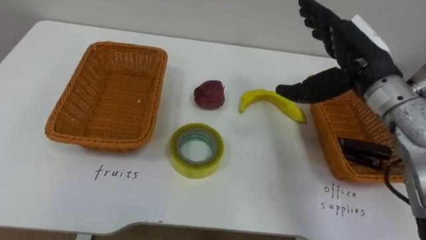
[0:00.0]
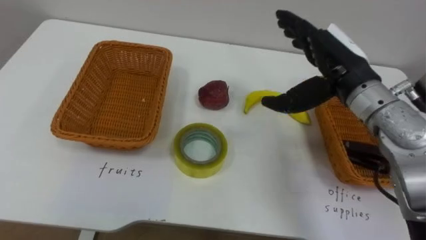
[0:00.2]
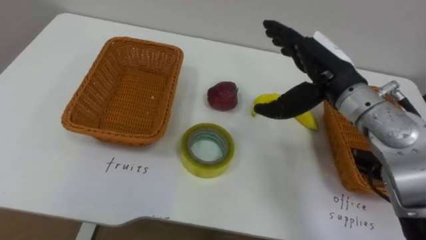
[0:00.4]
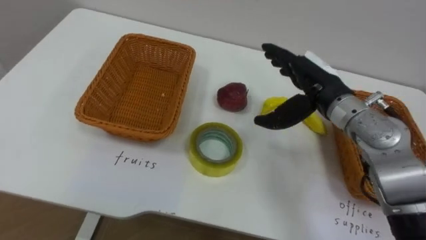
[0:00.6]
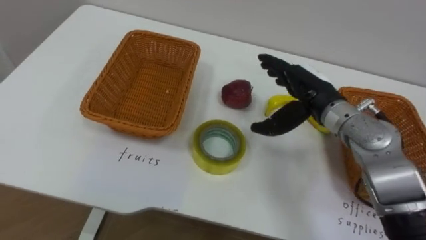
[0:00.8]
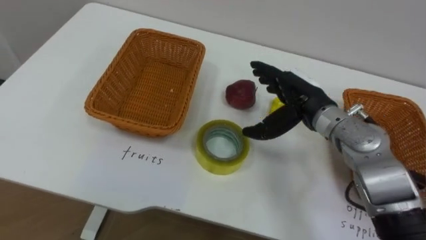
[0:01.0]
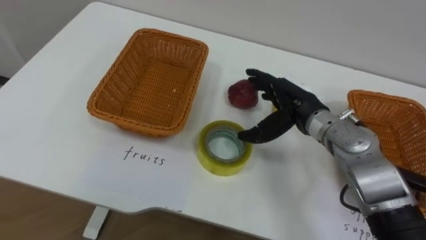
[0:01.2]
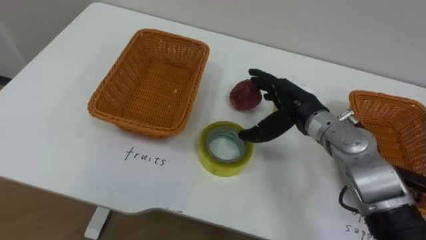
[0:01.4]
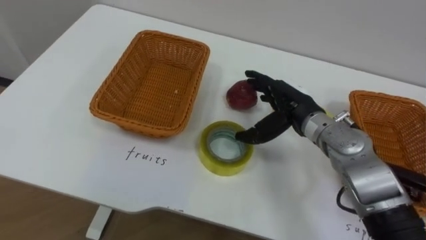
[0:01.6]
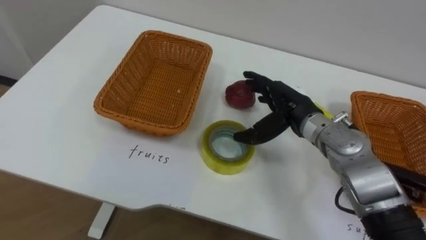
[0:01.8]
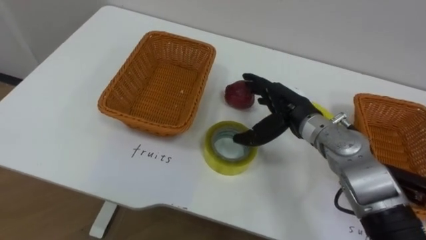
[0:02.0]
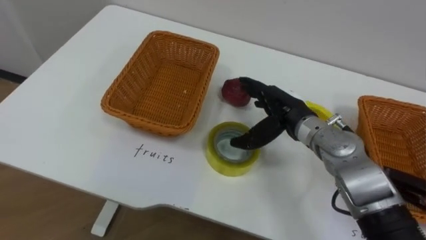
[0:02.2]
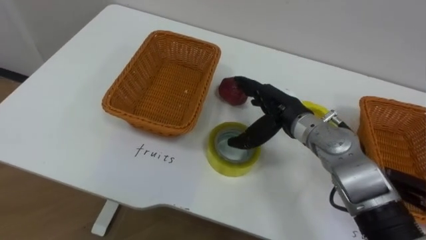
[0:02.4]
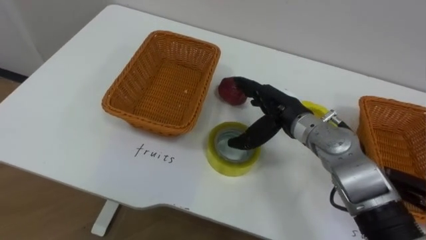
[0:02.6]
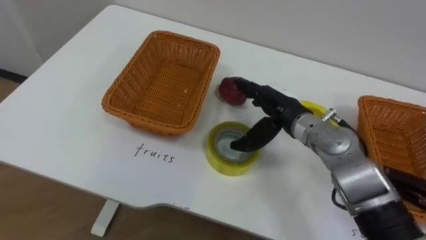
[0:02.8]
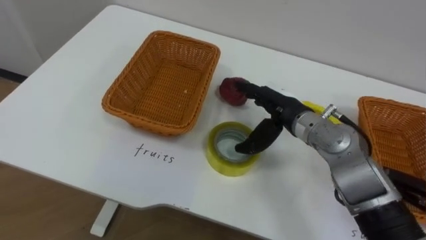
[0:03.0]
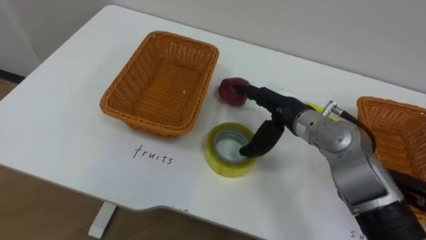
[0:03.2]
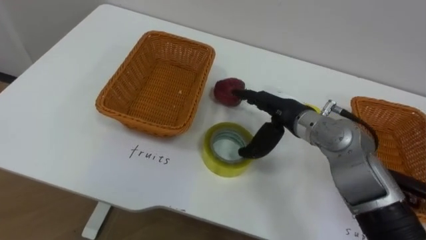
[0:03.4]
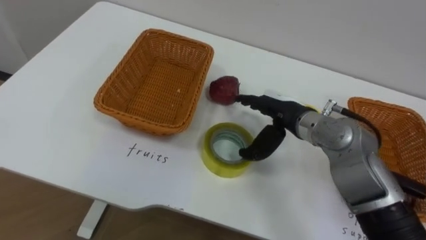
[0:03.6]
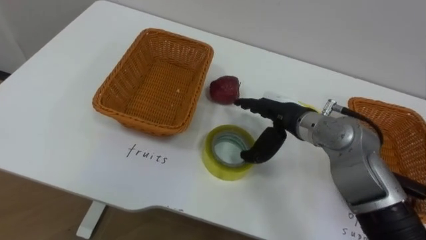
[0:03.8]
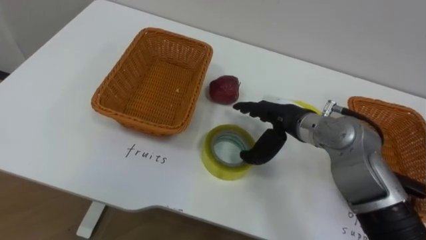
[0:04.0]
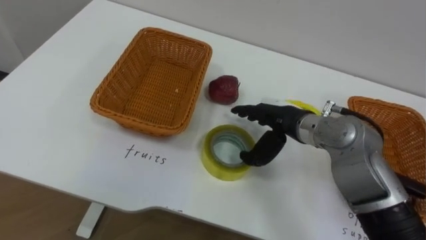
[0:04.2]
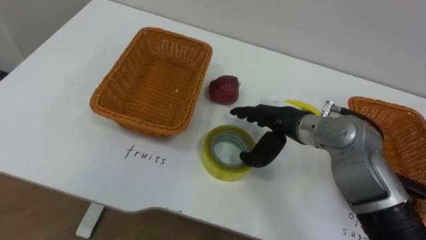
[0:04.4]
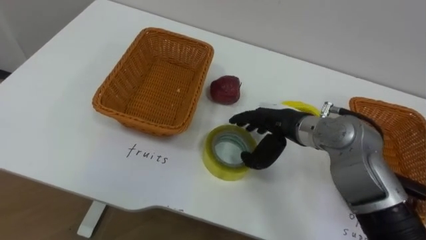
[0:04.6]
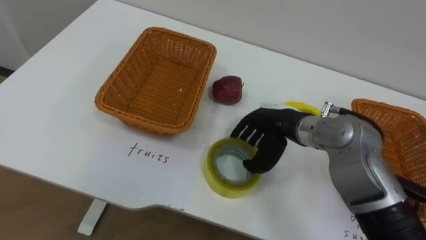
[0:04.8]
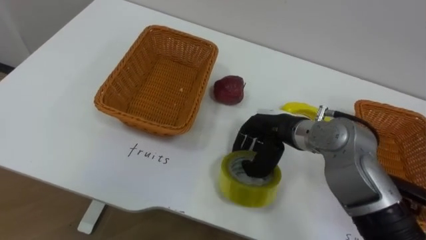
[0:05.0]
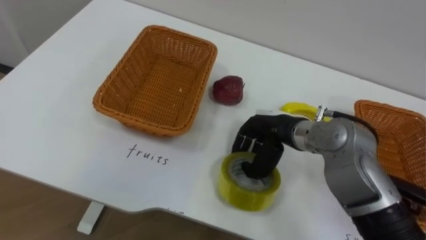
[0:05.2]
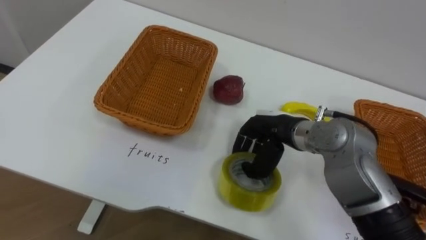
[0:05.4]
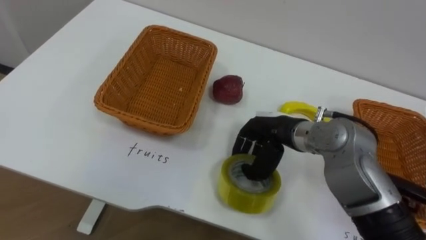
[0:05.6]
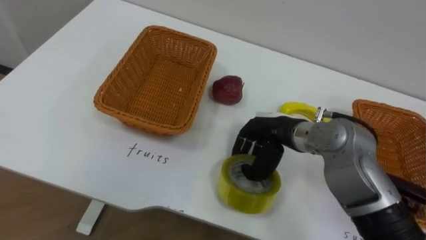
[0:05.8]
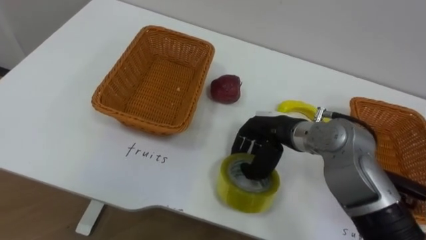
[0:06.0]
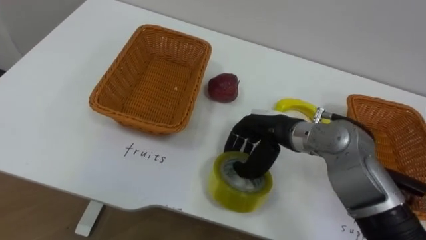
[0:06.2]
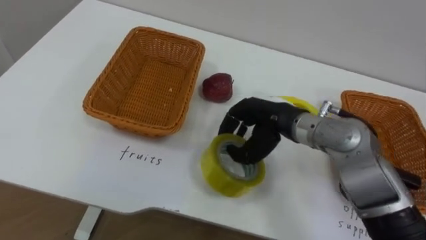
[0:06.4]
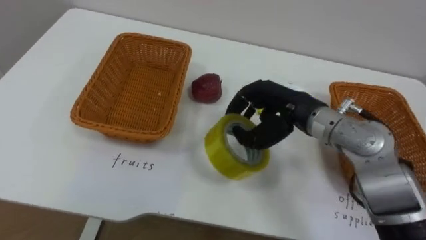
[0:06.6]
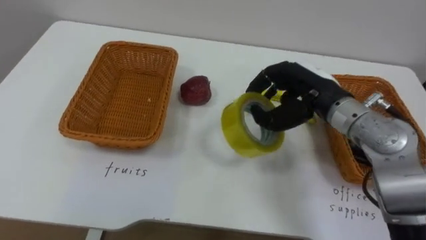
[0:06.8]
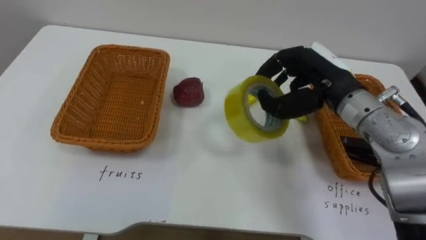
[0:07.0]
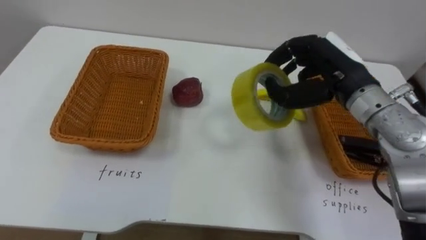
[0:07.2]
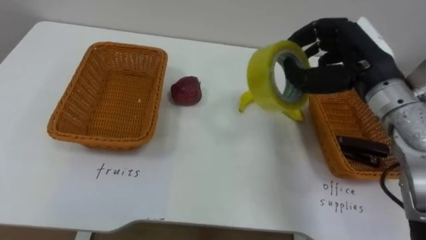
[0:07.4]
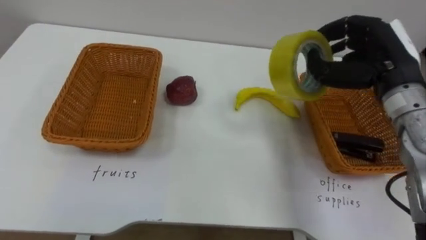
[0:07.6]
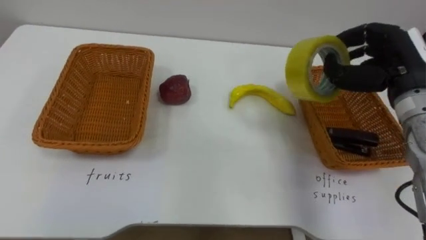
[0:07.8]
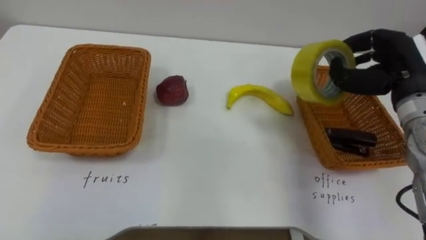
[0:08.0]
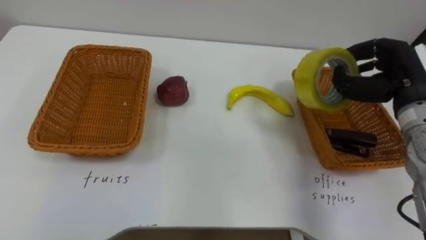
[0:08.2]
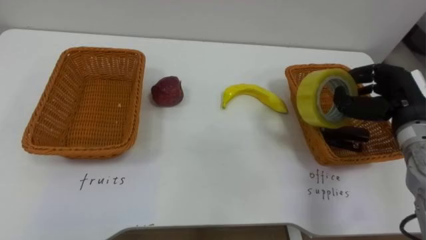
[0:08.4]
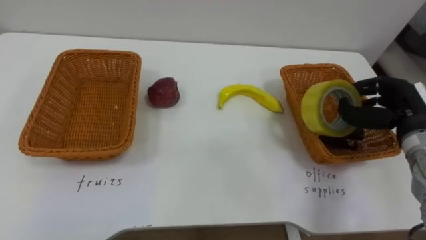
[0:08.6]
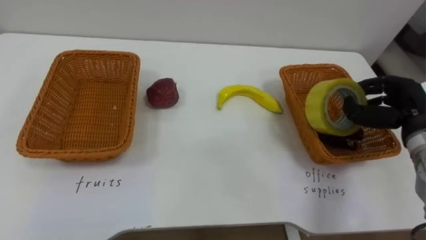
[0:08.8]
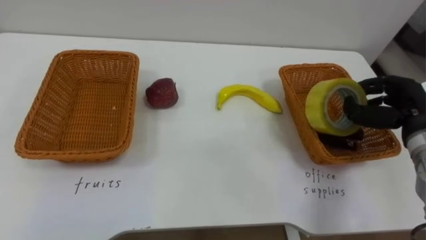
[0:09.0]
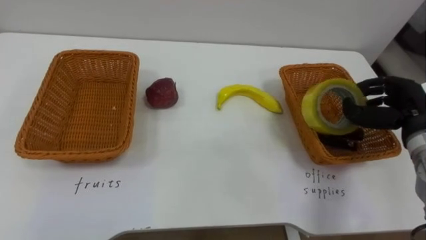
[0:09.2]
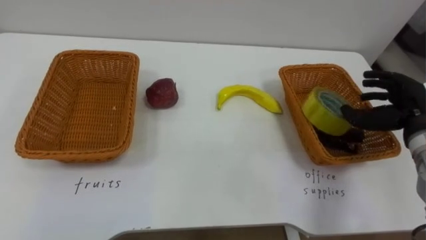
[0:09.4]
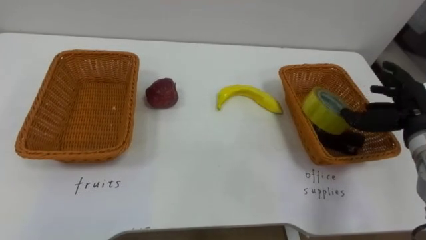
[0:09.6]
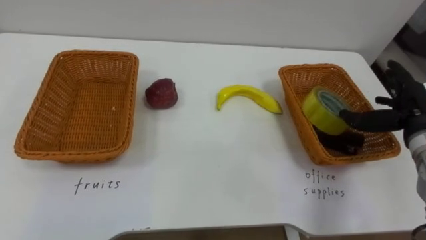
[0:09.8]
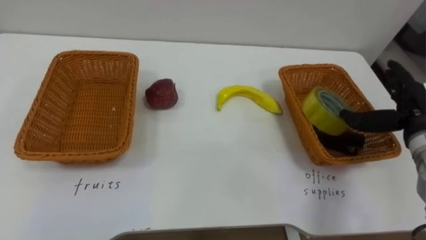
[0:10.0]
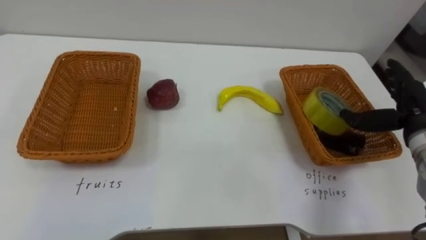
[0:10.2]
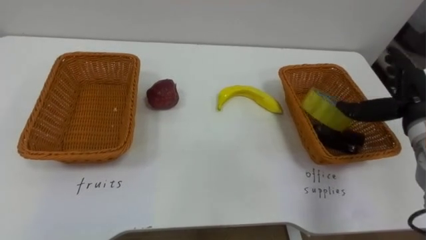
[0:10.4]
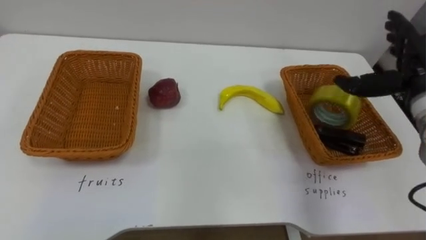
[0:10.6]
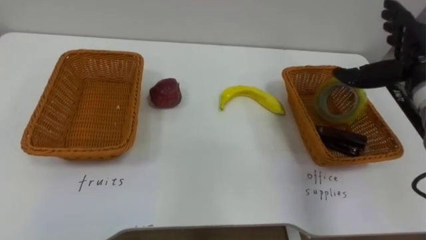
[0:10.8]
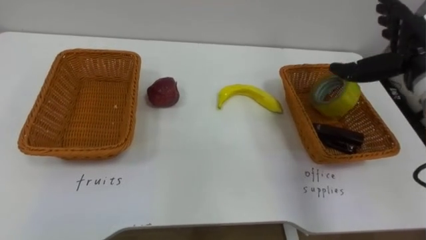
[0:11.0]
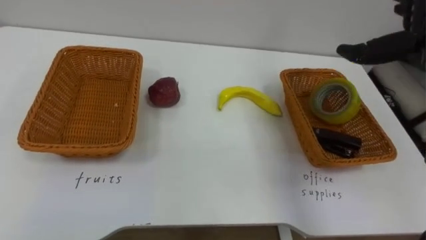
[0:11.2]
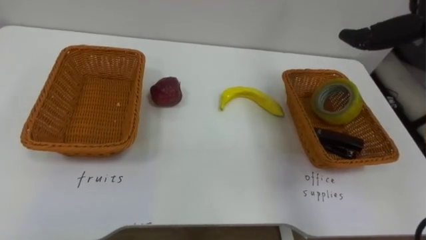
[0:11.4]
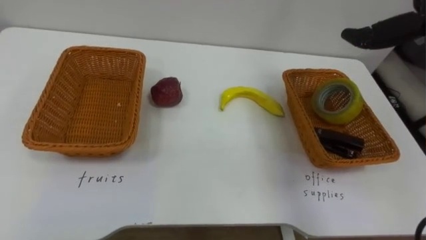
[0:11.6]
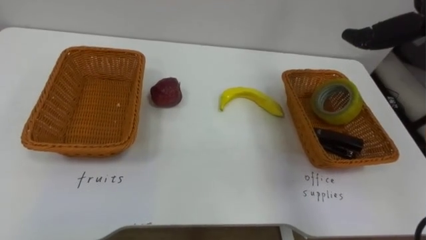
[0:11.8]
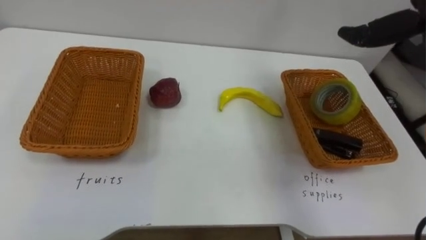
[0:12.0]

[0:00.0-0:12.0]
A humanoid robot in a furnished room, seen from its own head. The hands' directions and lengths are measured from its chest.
Task of the whole recording: Separate the items on the table and place them into the two baskets.
0:00.0 to 0:01.6: The right hand travels downward and to the left by some 15 cm.
0:04.4 to 0:06.0: The right hand closes its fingers.
0:06.0 to 0:07.6: The right hand travels to the right and upward by some 20 cm.
0:07.6 to 0:09.0: The right hand is displaced downward and to the right by about 15 cm.
0:09.0 to 0:10.4: The right hand opens its fingers.

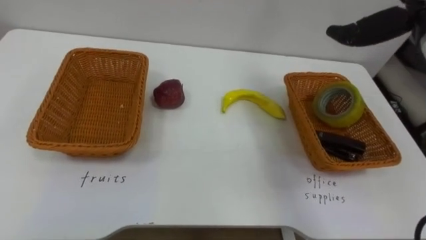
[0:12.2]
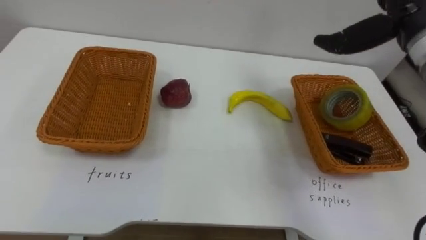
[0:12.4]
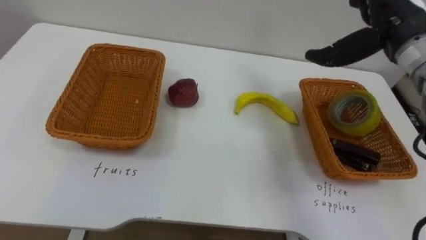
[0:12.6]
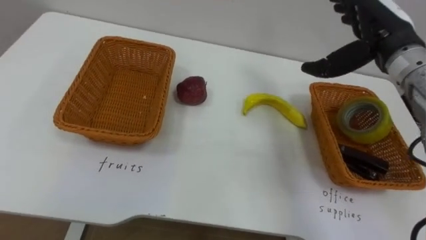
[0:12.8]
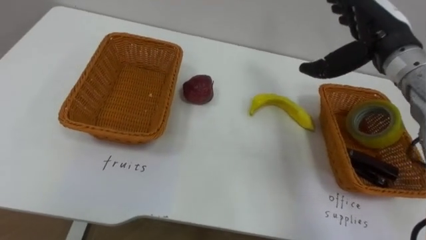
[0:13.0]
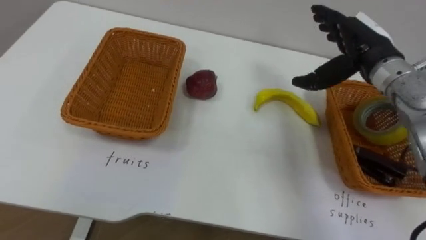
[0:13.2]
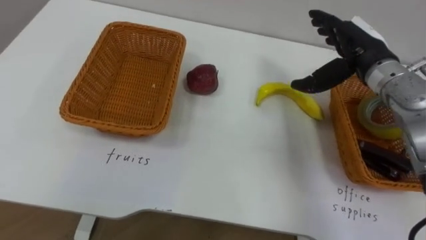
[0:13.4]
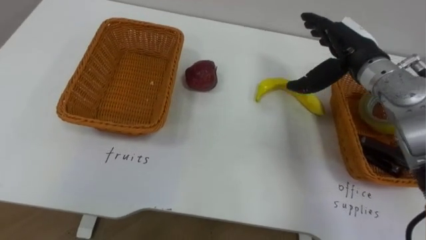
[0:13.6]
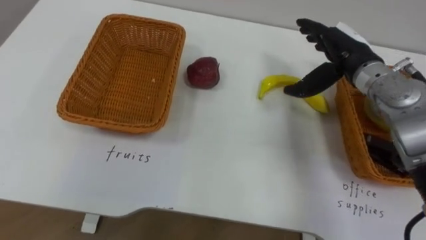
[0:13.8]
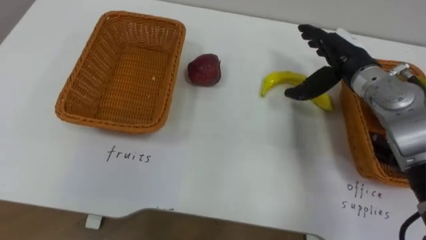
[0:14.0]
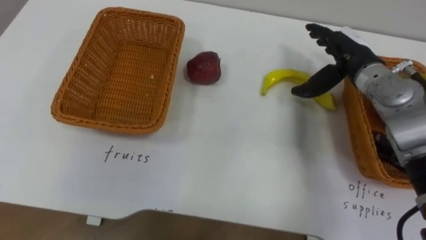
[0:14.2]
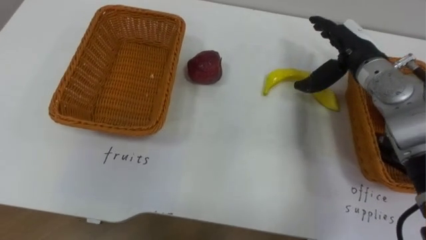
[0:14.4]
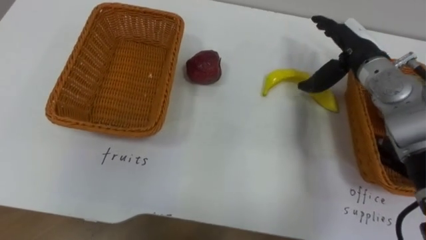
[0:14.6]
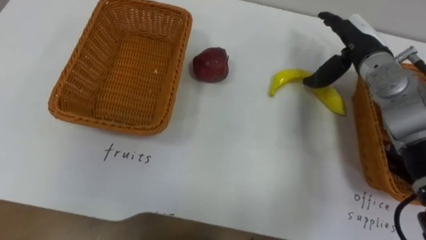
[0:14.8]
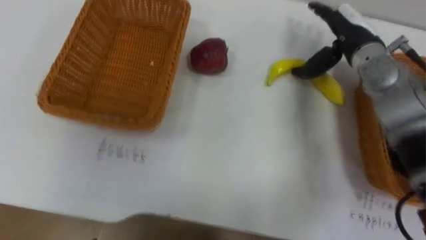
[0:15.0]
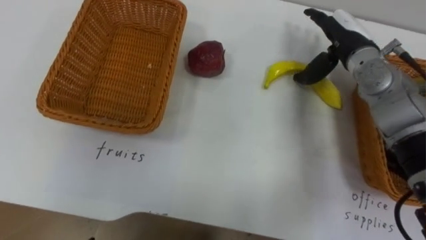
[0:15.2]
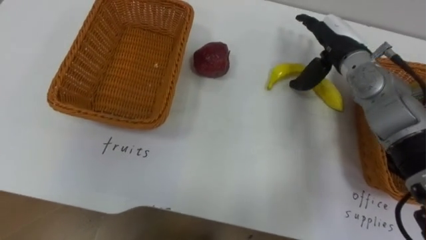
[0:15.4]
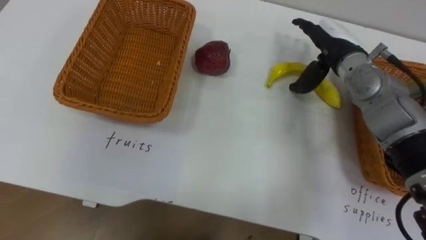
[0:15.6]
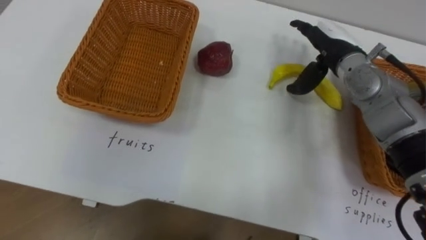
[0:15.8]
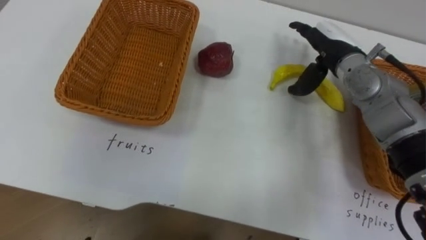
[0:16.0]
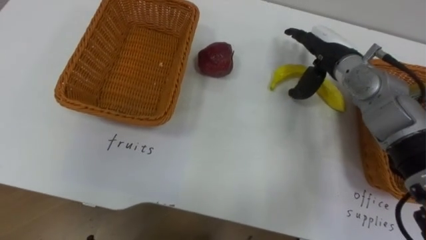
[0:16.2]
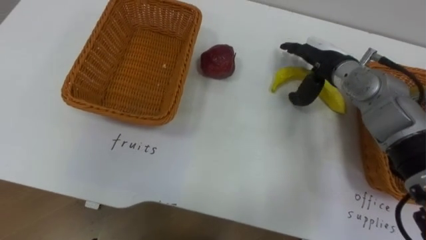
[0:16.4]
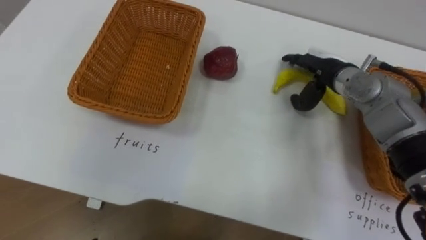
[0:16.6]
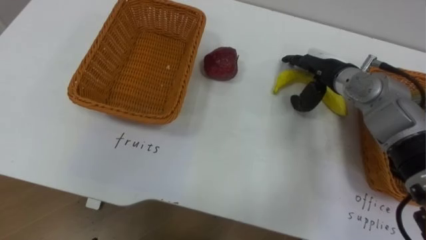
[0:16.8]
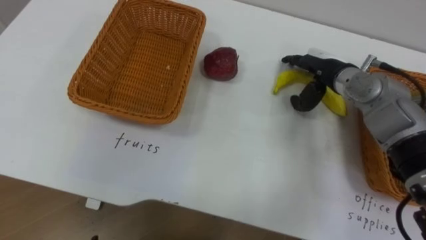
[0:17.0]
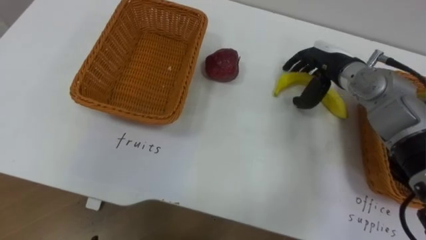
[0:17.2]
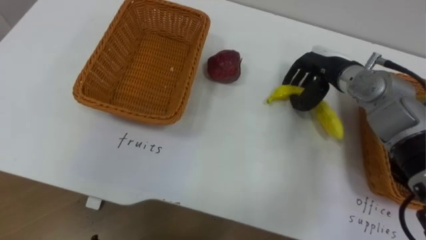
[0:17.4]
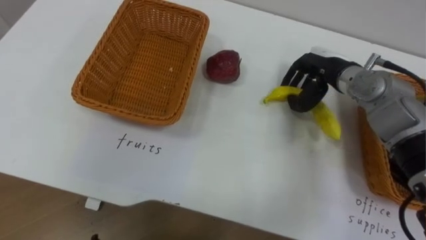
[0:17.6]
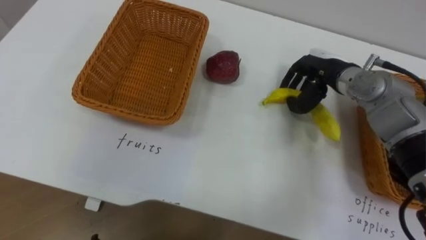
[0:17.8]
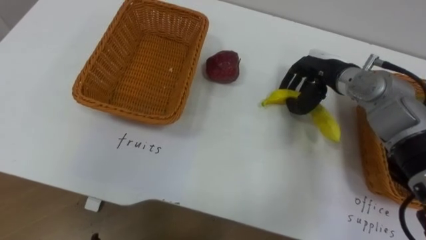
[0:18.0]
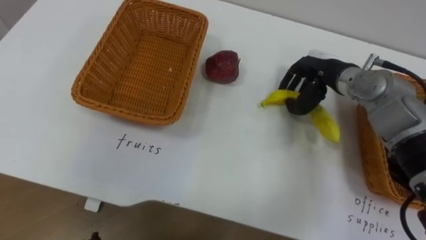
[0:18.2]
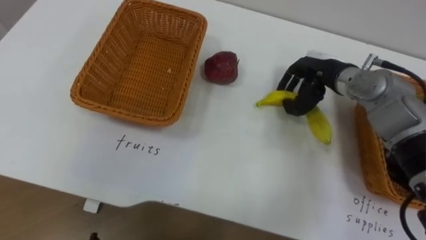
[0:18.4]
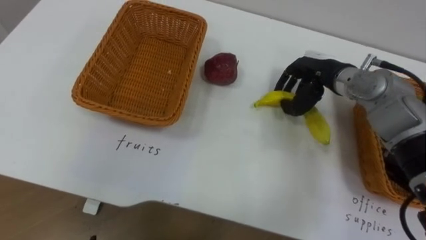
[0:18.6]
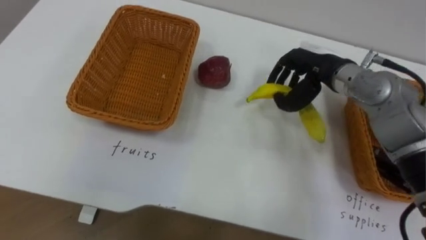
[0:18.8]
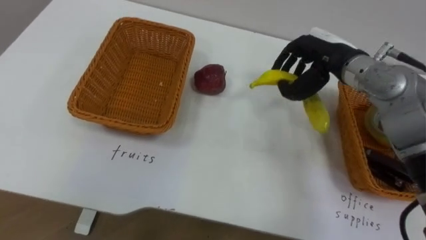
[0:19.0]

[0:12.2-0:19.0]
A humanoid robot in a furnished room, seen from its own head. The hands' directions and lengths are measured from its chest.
Task of the whole recording: Separate the items on the table and place them into the two baskets.
0:12.2 to 0:13.6: The right hand shifts roughly 10 cm downward and to the left.
0:16.2 to 0:17.6: The right hand closes.
0:17.6 to 0:19.0: The right hand shifts by roughly 5 cm.
